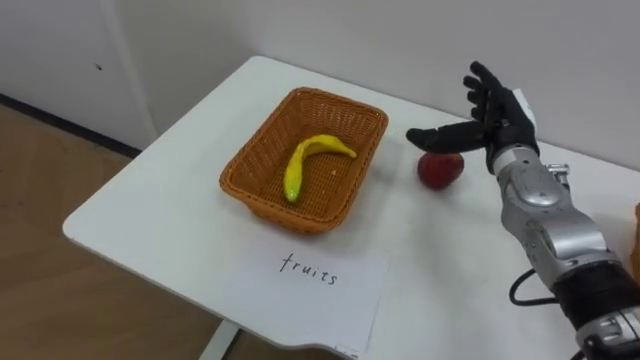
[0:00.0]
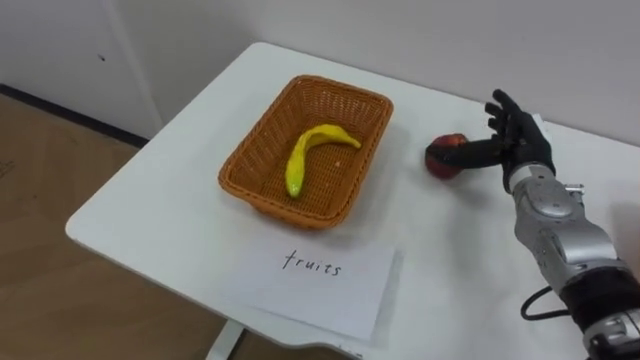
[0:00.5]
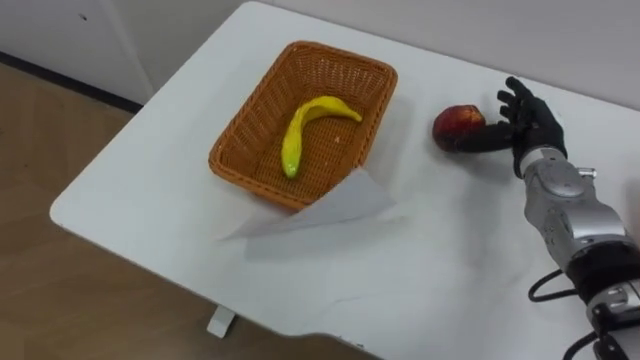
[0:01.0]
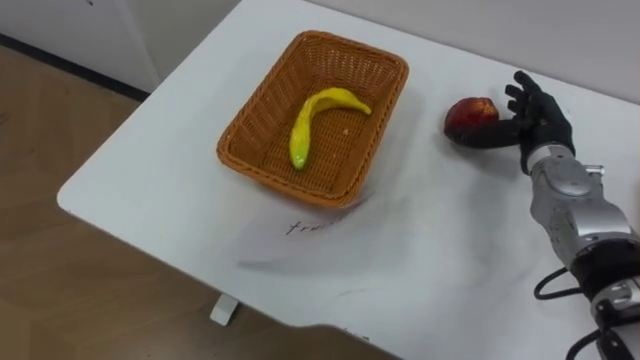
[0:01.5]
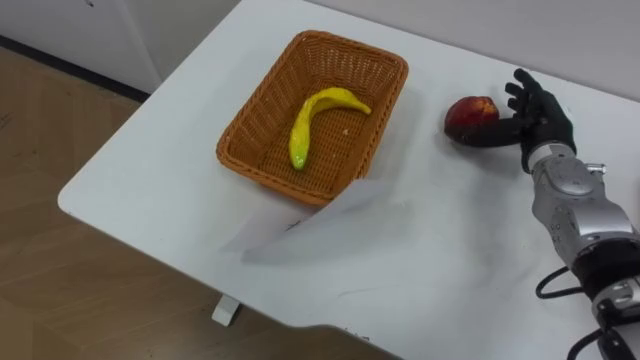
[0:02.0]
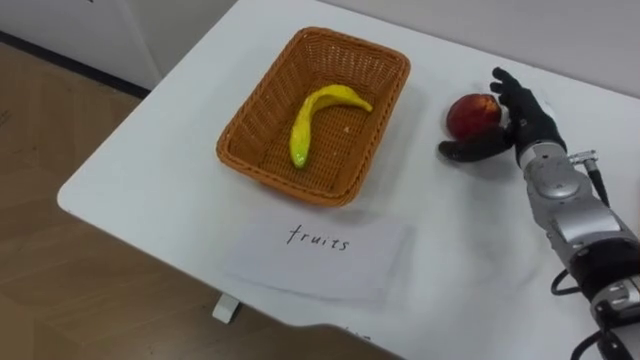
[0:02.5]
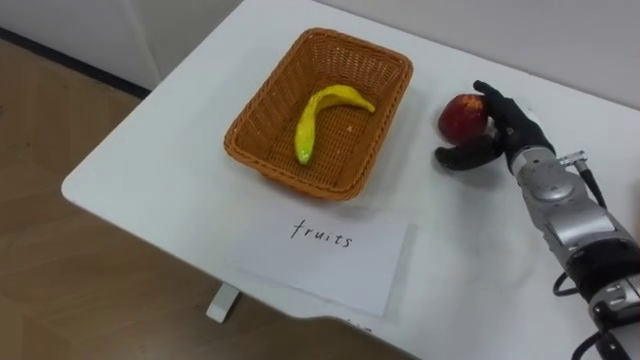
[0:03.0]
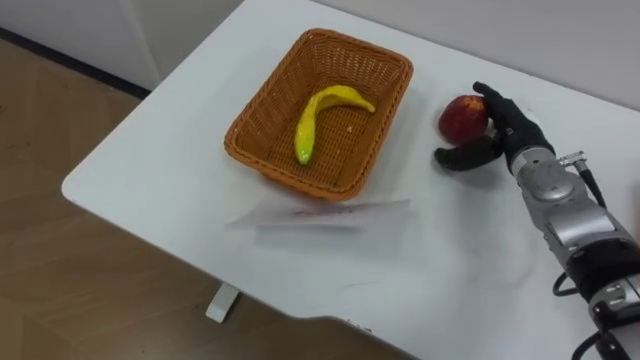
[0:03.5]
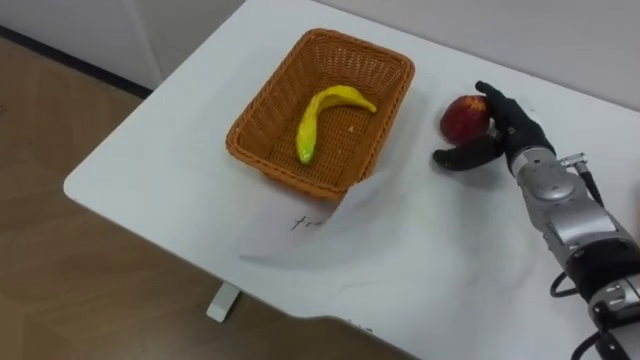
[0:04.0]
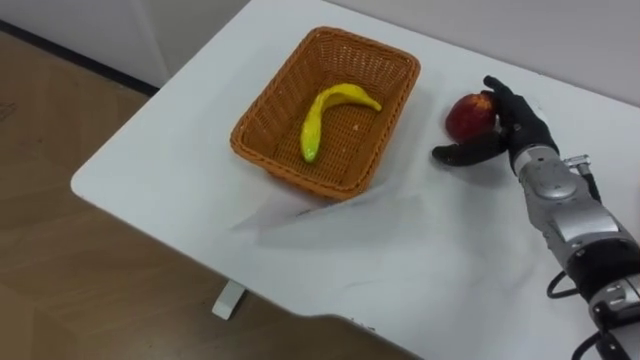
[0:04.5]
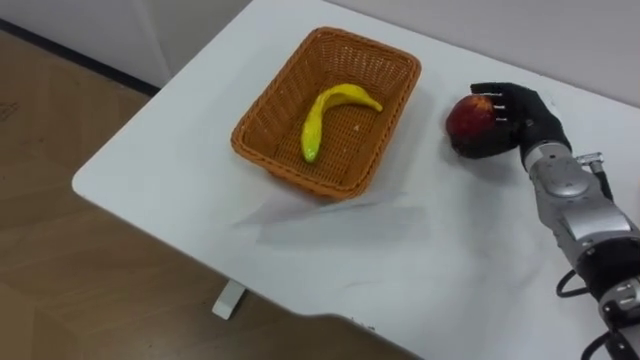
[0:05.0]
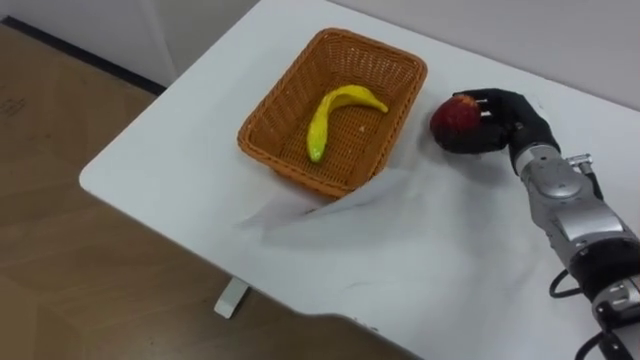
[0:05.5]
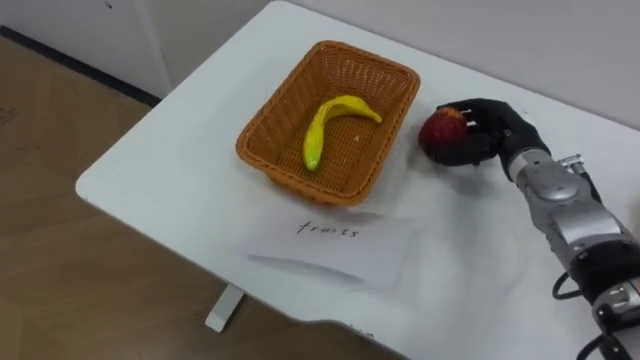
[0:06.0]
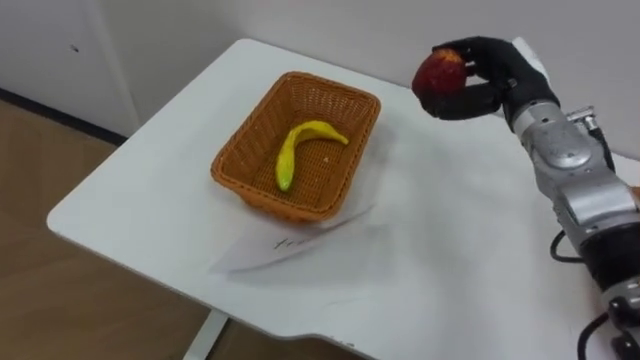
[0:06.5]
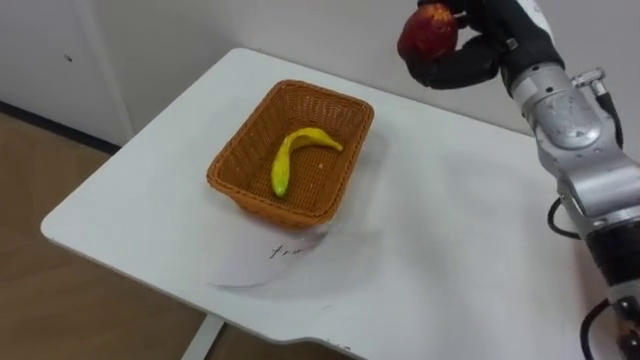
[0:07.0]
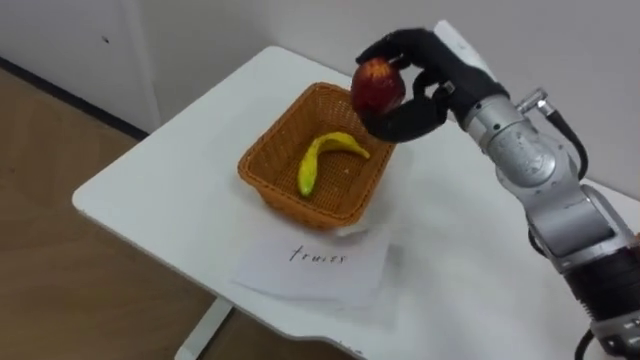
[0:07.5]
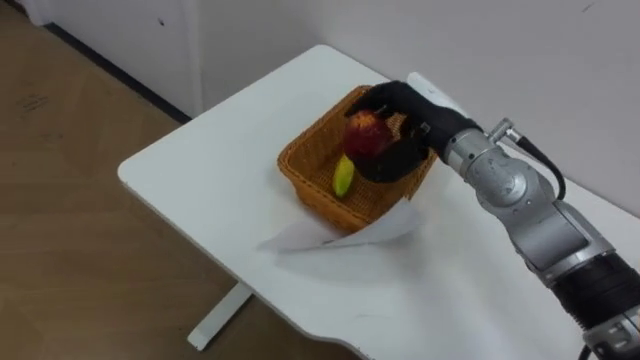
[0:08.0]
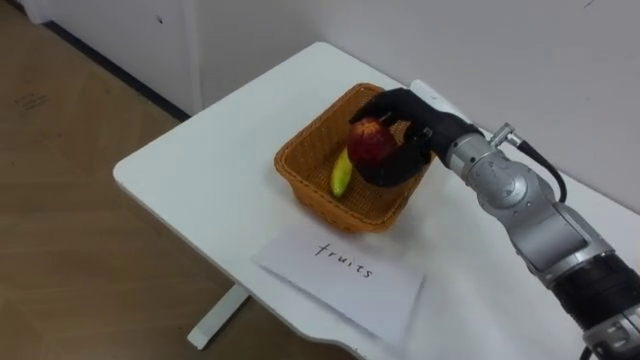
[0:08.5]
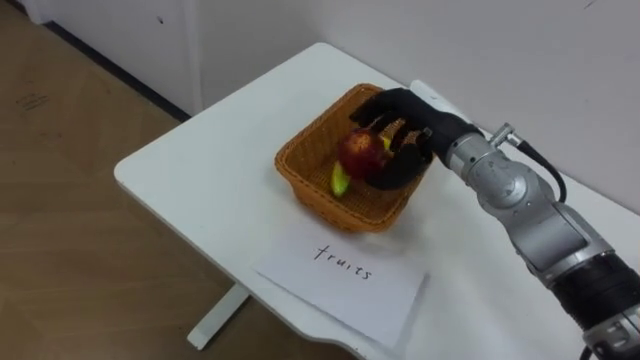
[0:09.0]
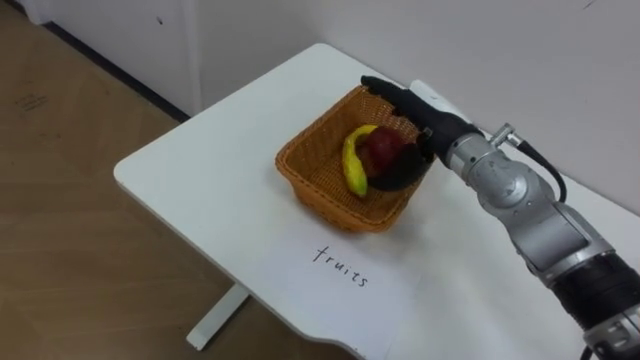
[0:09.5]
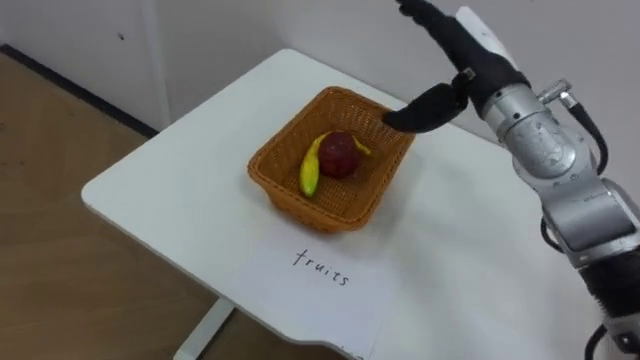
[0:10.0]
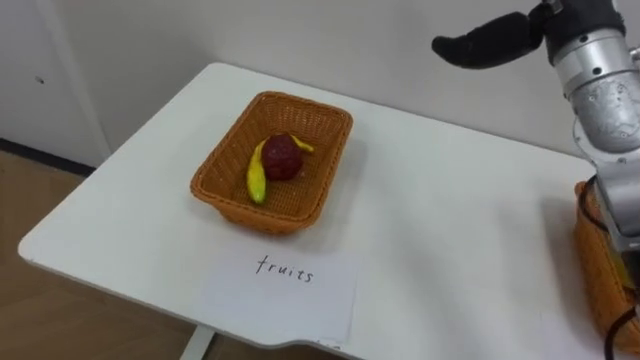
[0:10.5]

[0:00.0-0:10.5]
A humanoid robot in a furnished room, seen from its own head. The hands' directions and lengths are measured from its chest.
Task of the whole recording: Separate the items on the table and place them into the two baskets.
0:00.0 to 0:02.0: The right hand travels to the right by about 5 cm.
0:04.0 to 0:06.5: The right hand travels upward by some 5 cm, and closes up.
0:06.5 to 0:08.5: The right hand moves to the left, some 10 cm.

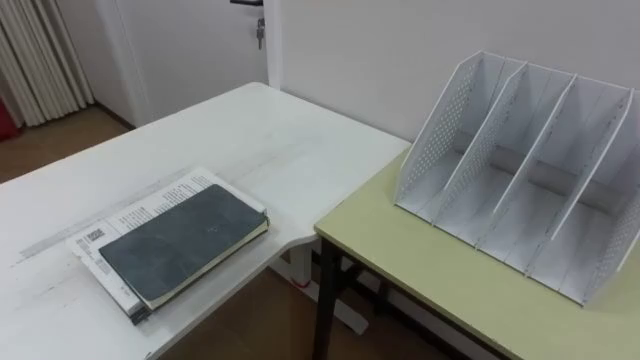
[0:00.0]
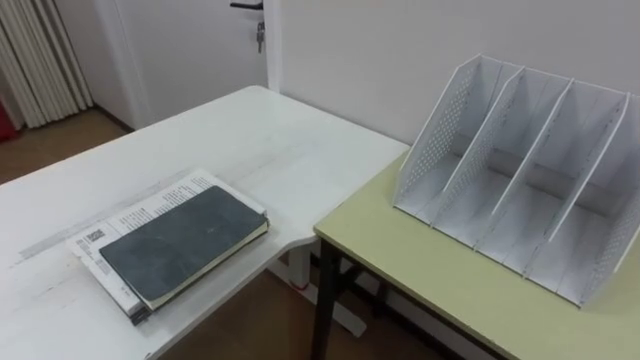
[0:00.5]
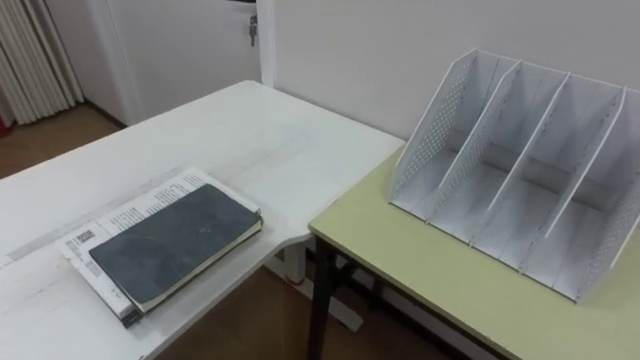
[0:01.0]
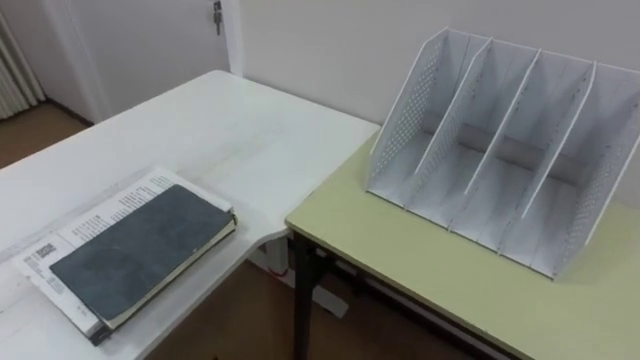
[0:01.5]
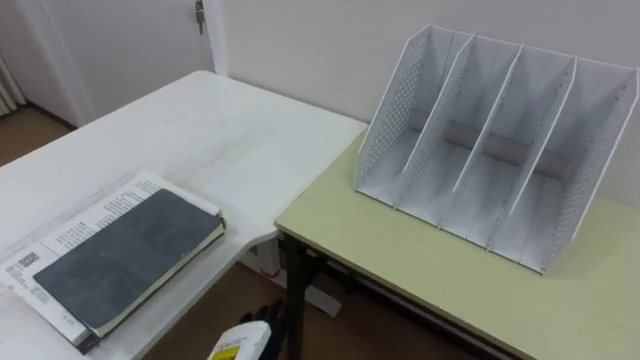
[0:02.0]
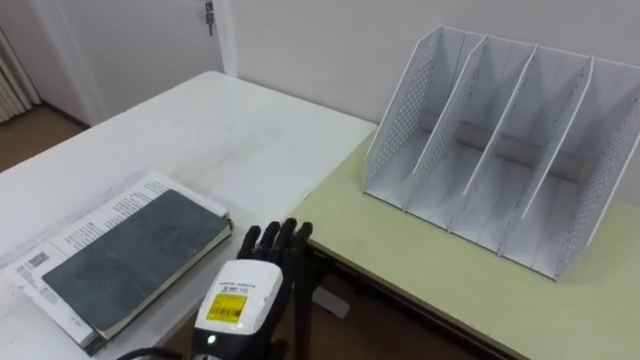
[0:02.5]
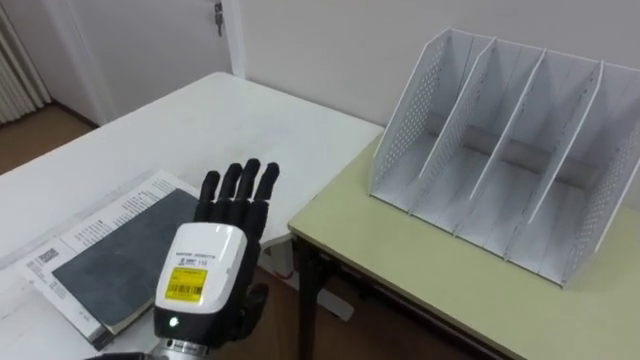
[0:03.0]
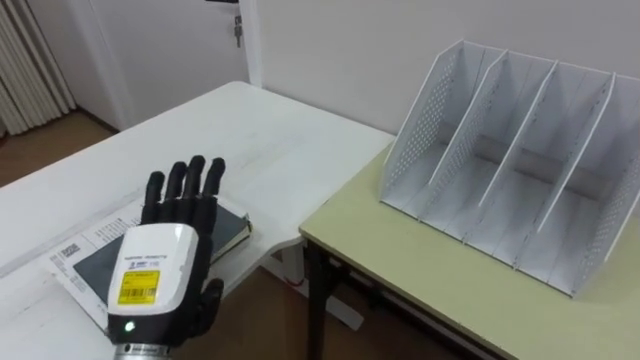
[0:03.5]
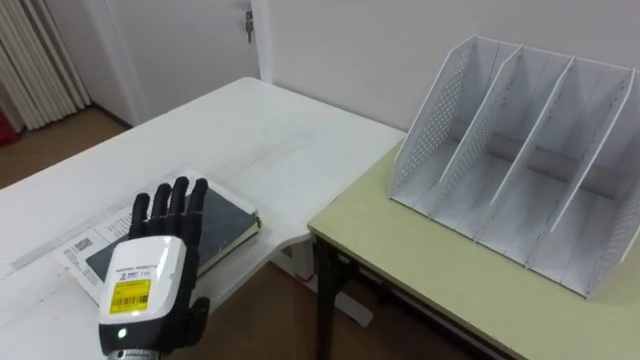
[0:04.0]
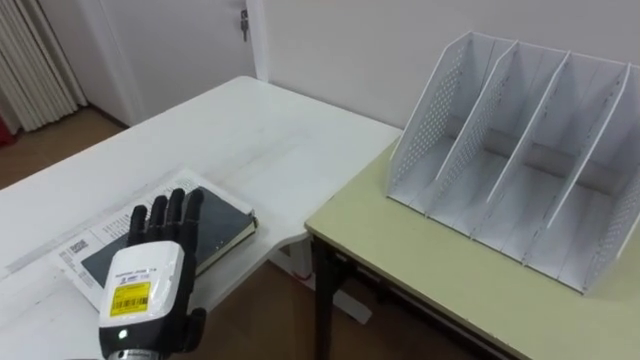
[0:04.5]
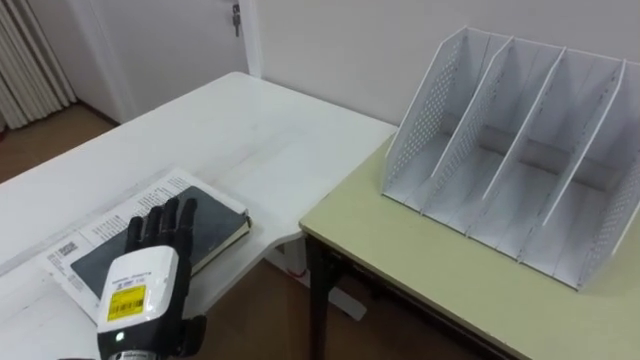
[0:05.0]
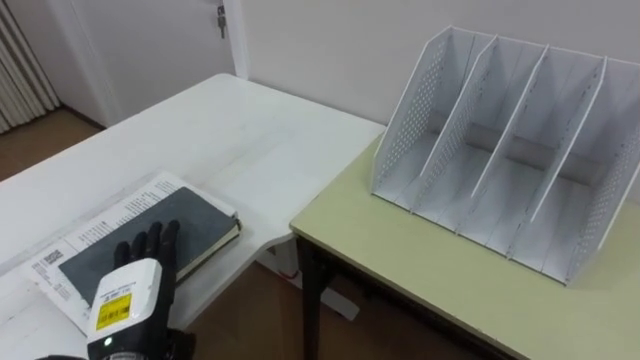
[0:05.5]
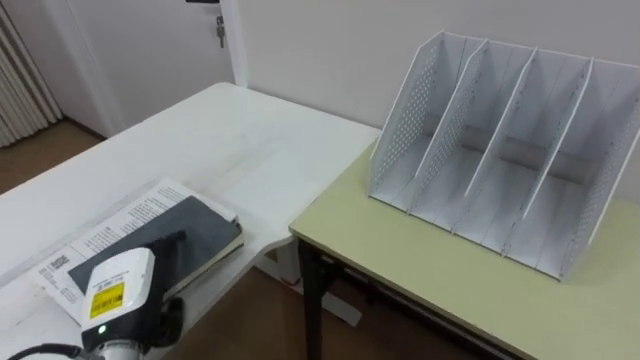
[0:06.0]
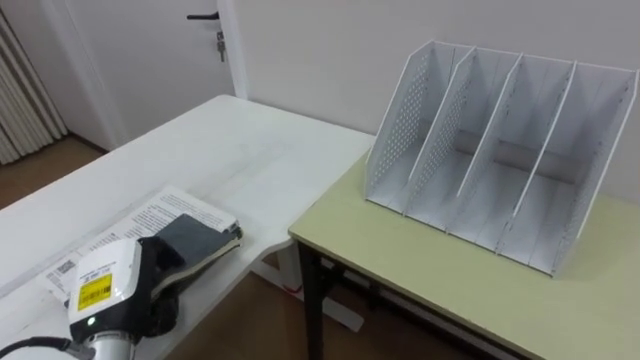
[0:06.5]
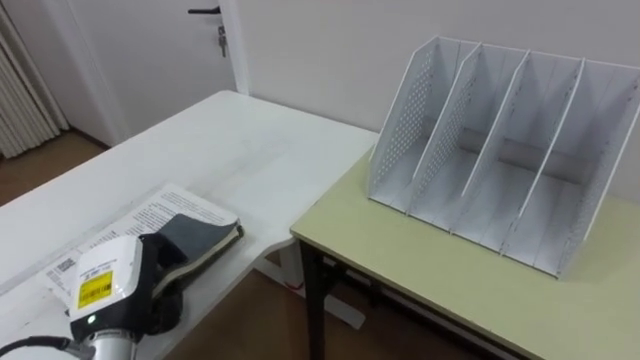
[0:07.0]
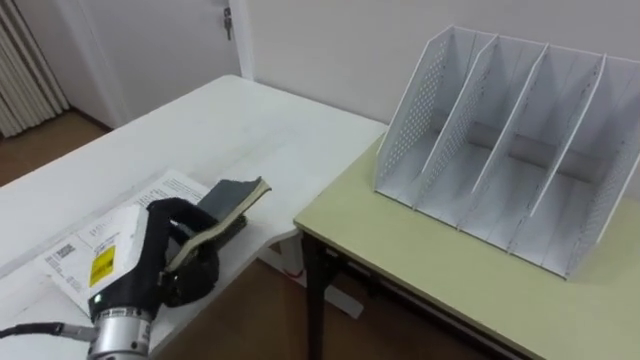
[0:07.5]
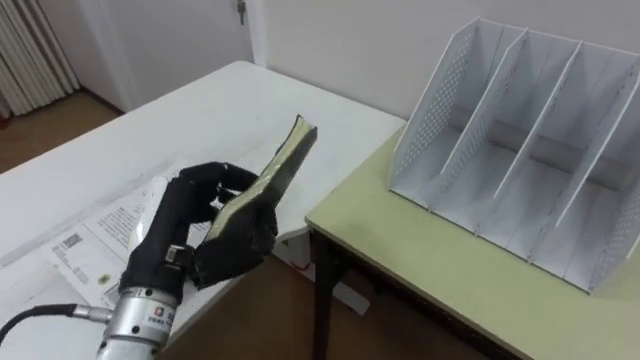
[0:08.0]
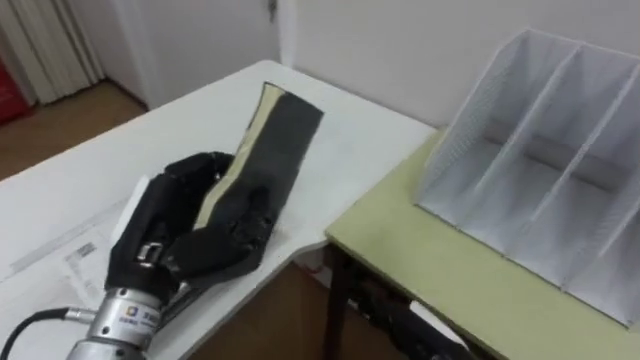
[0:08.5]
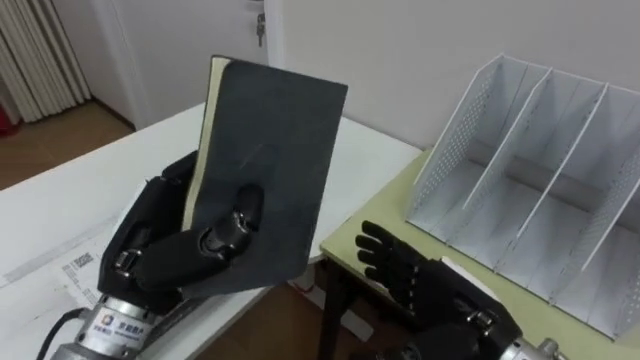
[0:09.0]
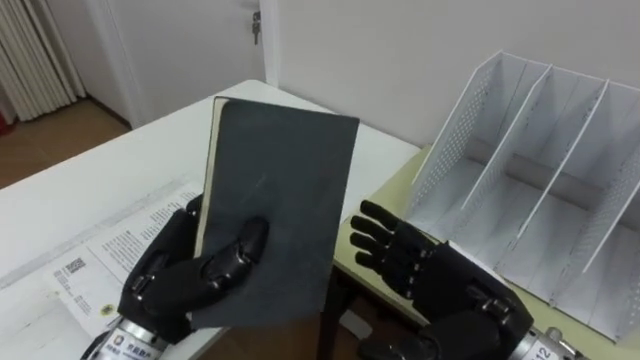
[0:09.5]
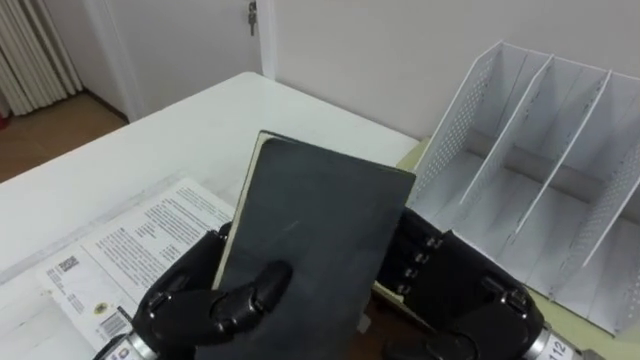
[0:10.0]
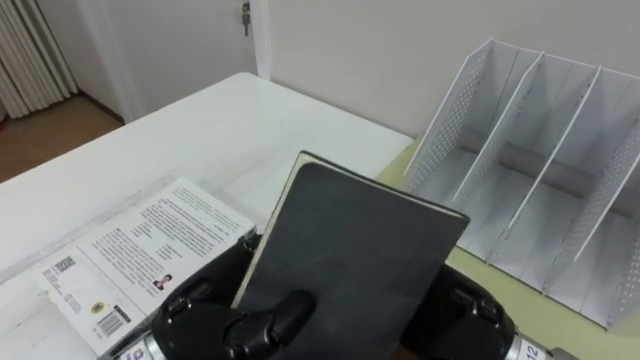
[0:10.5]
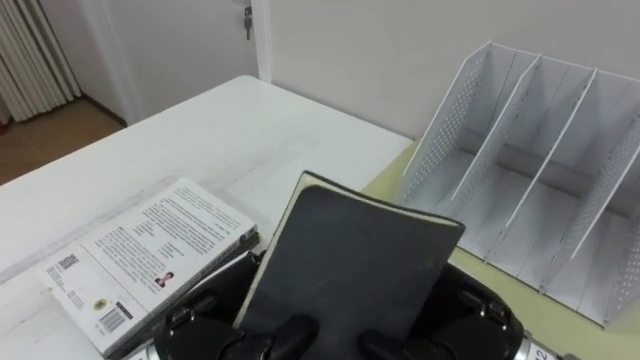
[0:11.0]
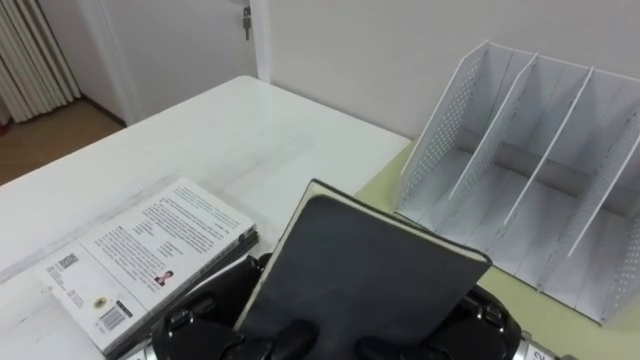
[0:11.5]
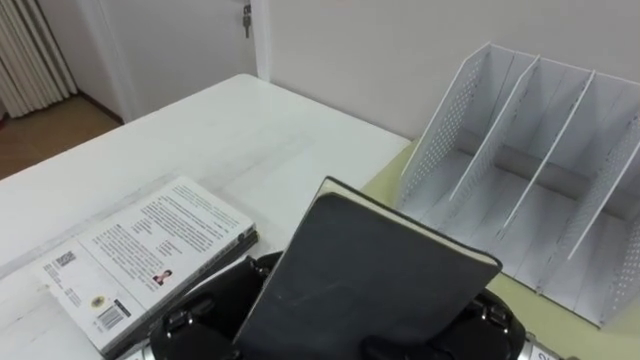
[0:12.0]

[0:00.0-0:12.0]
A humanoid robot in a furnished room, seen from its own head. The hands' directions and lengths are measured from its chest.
Task of the whole recording: Put the books on the table onto the bookshelf.
0:02.0 to 0:04.0: The left hand heads upward and to the left, covering some 15 cm.
0:04.0 to 0:06.0: The left hand is displaced downward by roughly 5 cm.
0:06.0 to 0:08.0: The left hand is displaced upward and to the right by approximately 10 cm, and closes its fingers.
0:08.0 to 0:10.0: The left hand ends up about 5 cm from where it was.
0:10.0 to 0:12.0: The right hand closes up.
